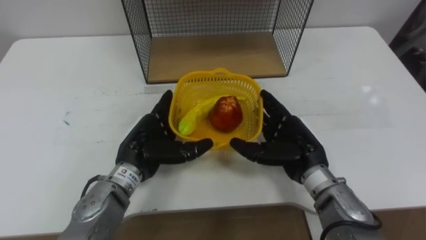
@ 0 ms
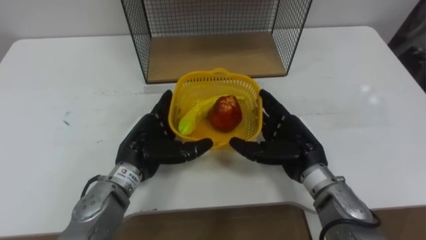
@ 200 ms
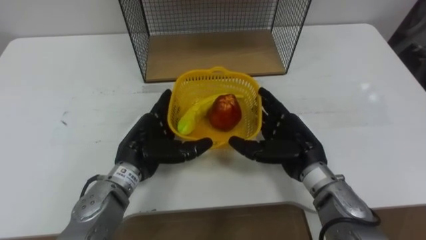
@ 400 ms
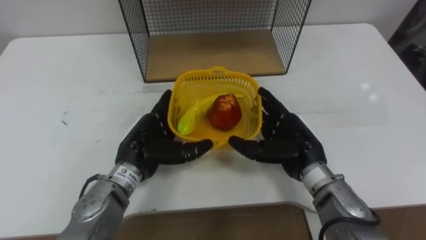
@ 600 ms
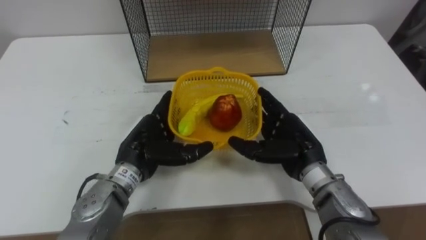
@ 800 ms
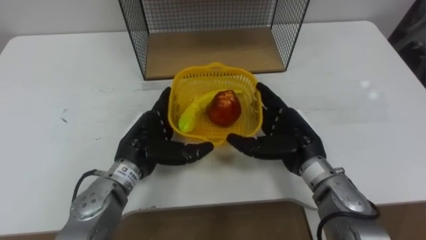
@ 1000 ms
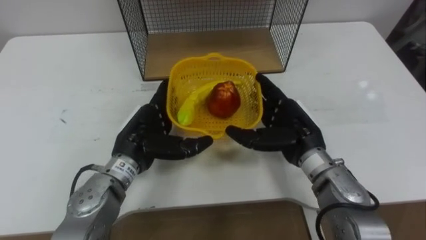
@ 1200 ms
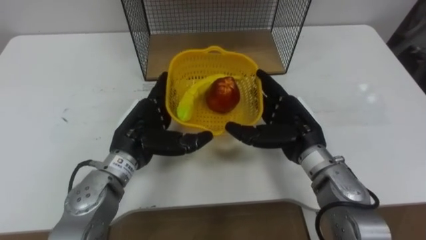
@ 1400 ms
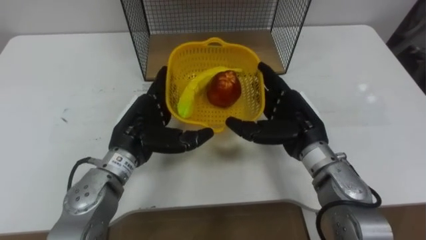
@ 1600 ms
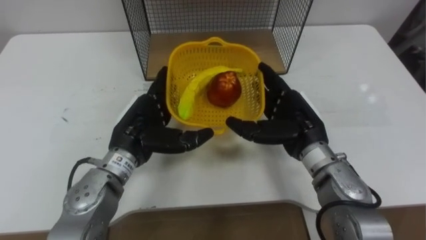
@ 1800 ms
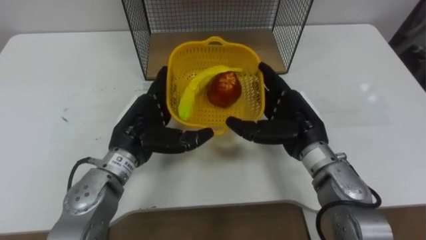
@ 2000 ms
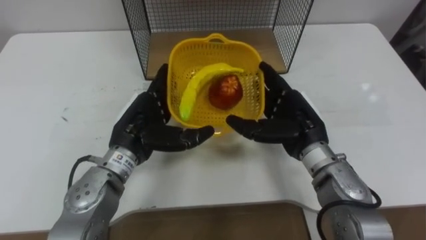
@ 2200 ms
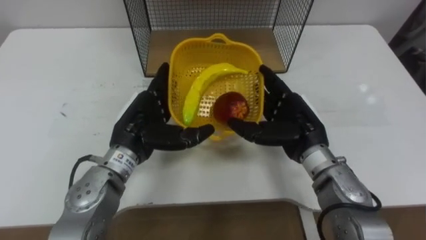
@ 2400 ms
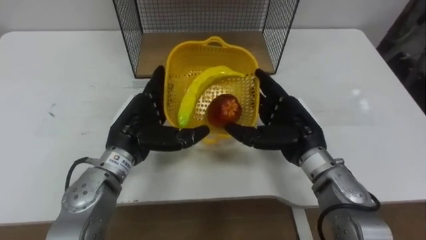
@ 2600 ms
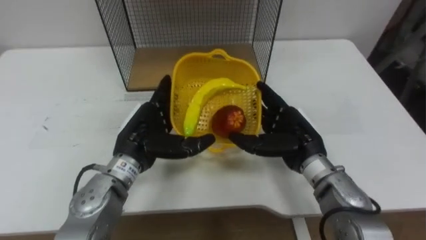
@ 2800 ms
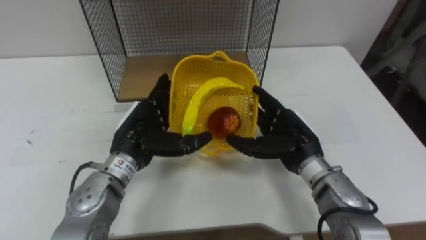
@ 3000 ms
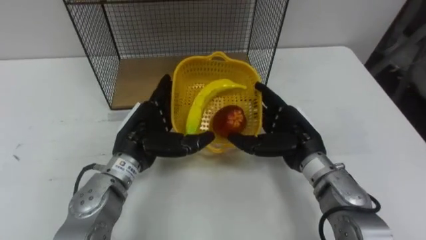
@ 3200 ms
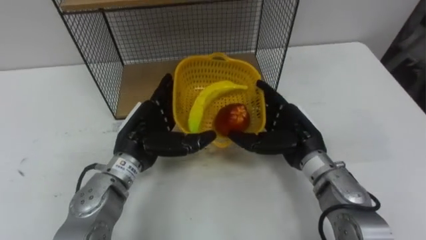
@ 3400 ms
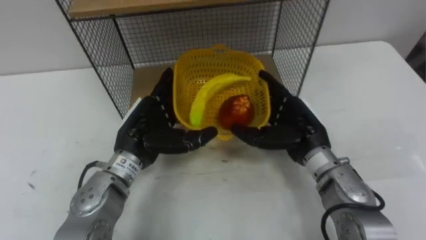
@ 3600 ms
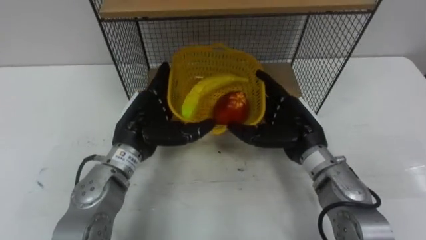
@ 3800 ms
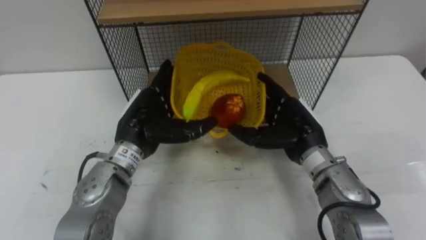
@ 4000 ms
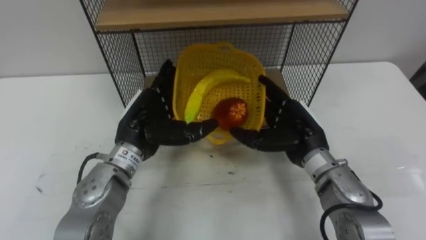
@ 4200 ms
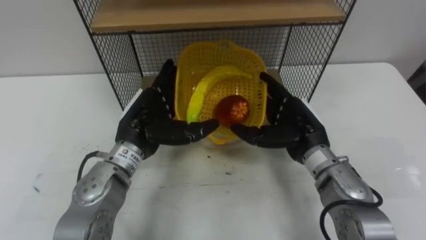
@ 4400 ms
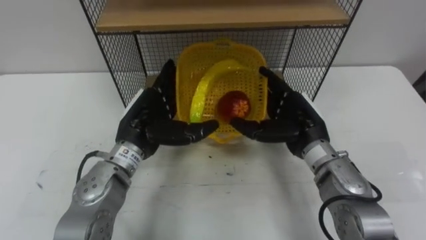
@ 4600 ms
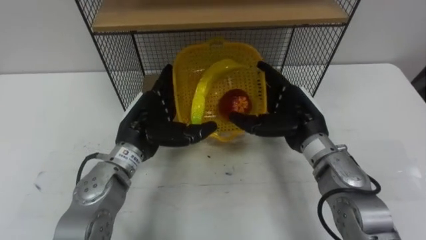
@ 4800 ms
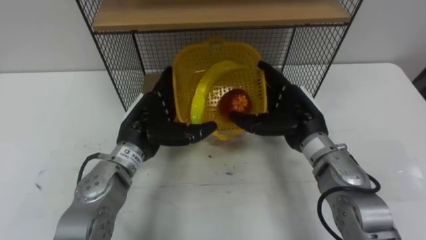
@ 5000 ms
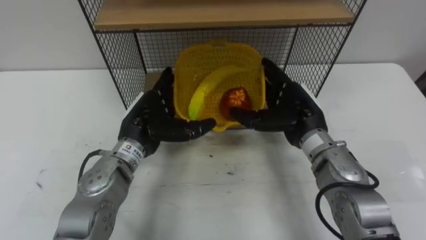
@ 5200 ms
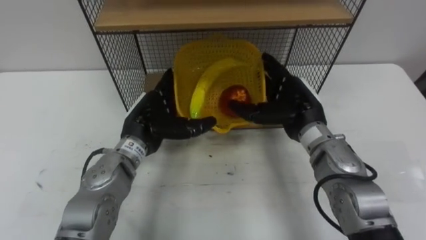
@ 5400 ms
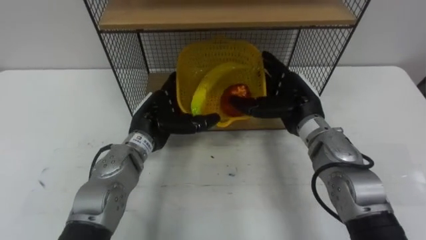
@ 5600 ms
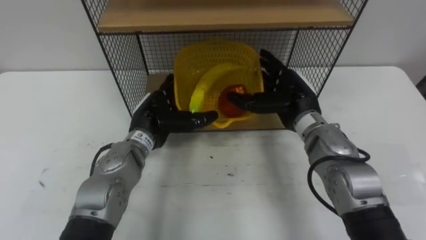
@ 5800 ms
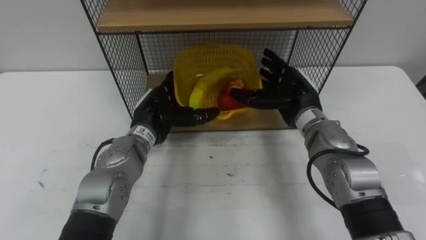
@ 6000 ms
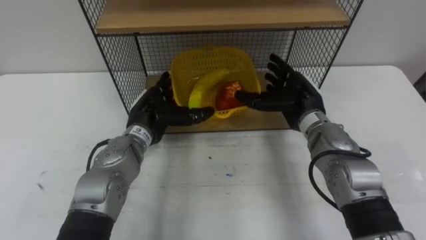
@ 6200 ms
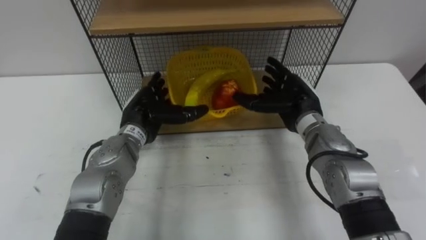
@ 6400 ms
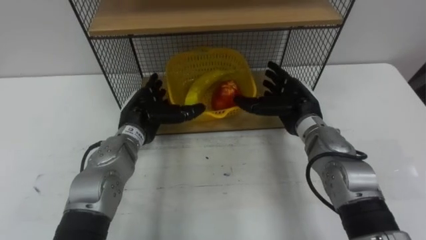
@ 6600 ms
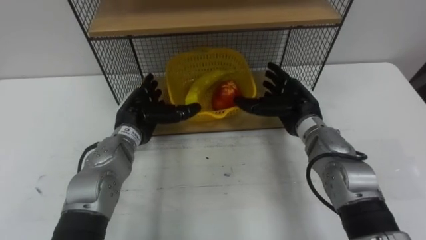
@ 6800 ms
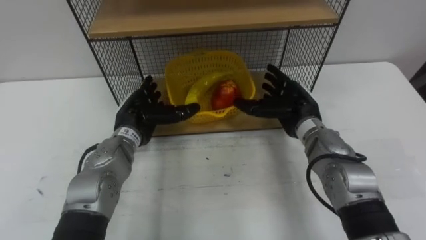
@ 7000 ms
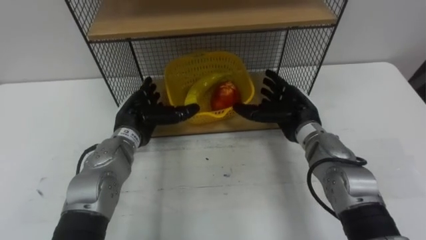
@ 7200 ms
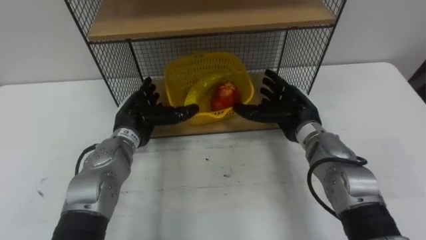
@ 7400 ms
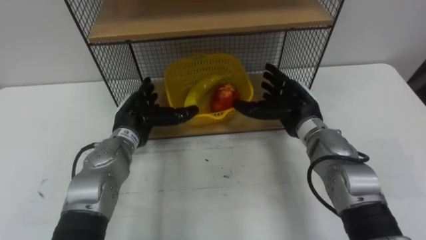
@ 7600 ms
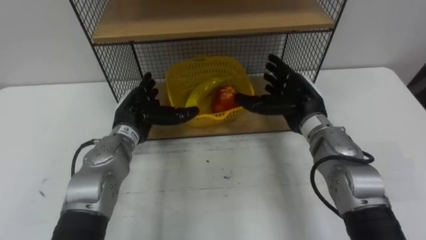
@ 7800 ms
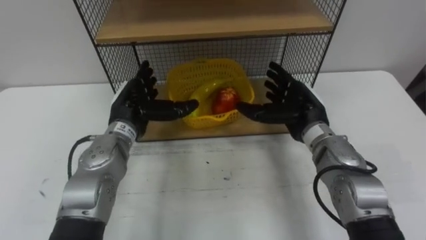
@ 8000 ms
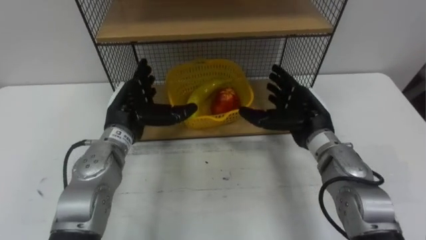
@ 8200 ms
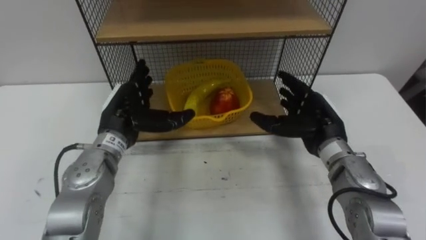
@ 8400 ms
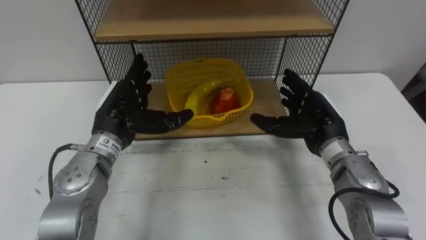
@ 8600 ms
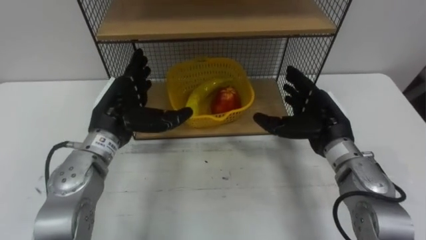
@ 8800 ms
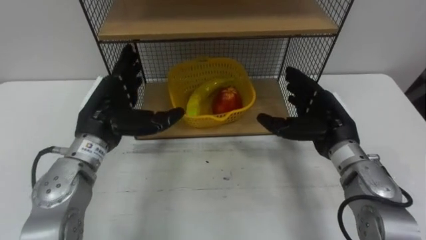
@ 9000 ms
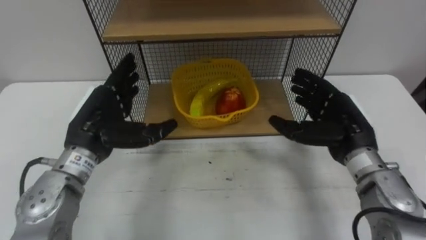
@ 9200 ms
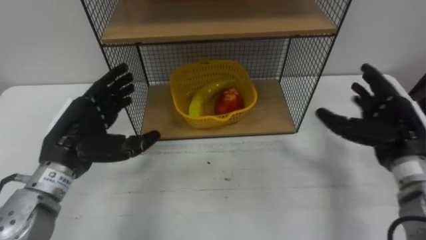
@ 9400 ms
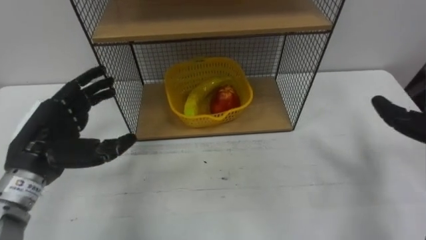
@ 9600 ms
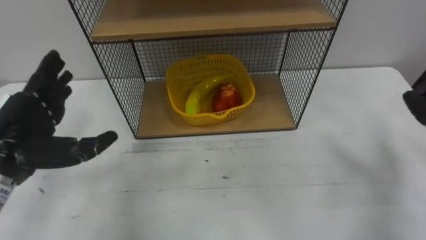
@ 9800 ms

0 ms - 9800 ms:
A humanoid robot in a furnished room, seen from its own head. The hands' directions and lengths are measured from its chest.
Task of the whole recording: Put the fruit on the table into the basket, then place the basket on the shelf.
4200 ms - 5600 ms: The right hand changes place by about 5 cm; the left hand moves approximately 5 cm.
7000 ms - 8400 ms: The right hand changes place by about 5 cm.
8400 ms - 9800 ms: The left hand is displaced to the left, backward and upward by approximately 15 cm.

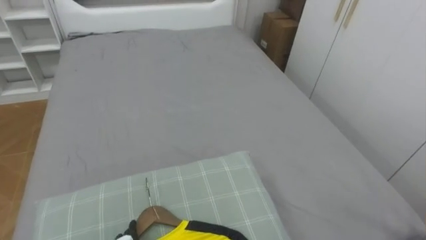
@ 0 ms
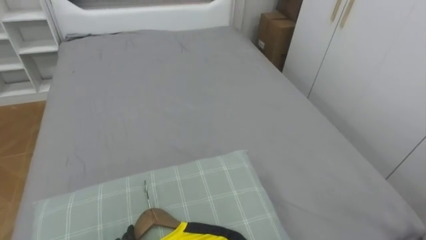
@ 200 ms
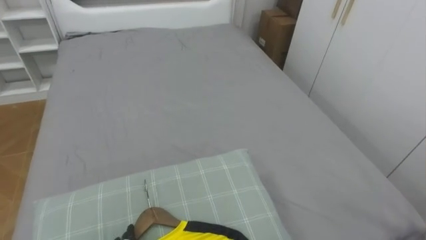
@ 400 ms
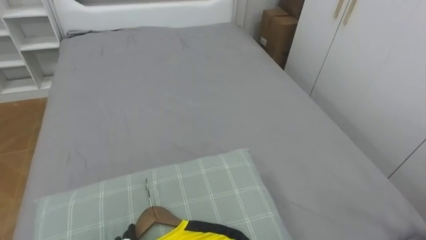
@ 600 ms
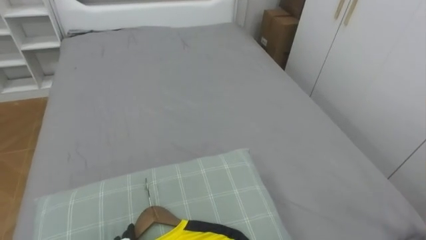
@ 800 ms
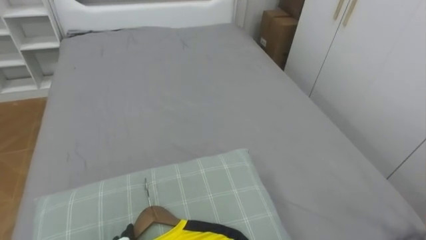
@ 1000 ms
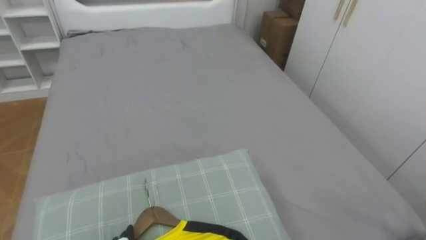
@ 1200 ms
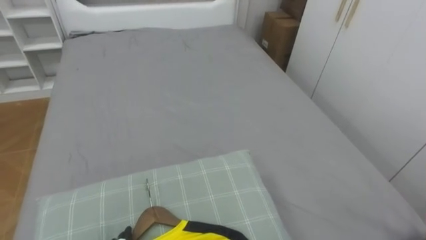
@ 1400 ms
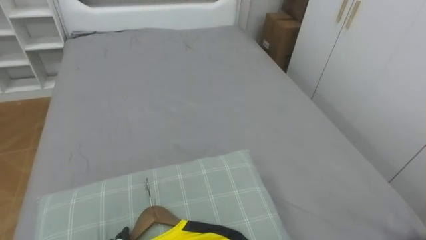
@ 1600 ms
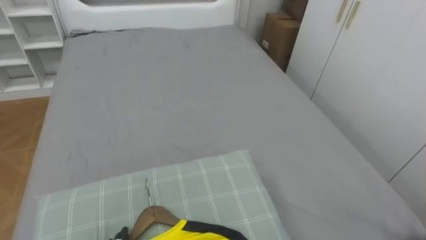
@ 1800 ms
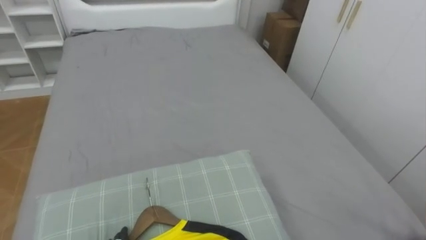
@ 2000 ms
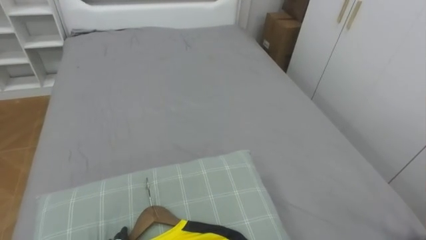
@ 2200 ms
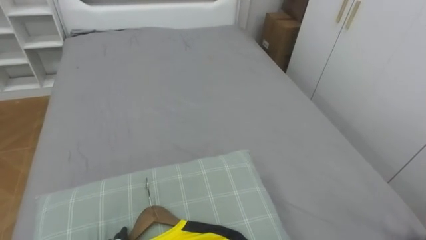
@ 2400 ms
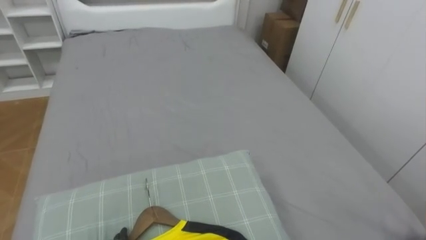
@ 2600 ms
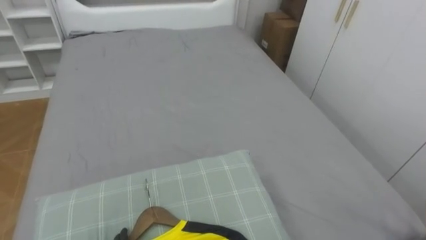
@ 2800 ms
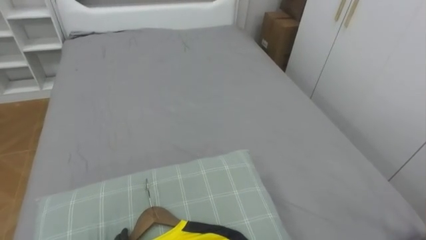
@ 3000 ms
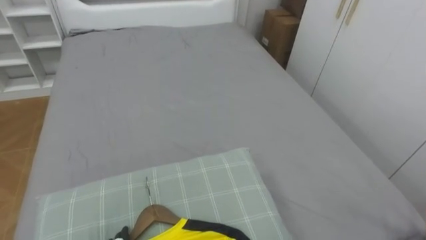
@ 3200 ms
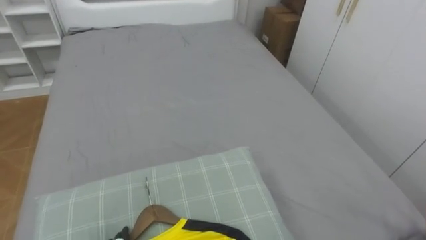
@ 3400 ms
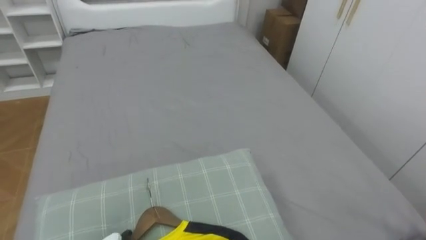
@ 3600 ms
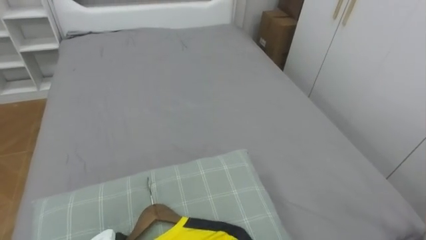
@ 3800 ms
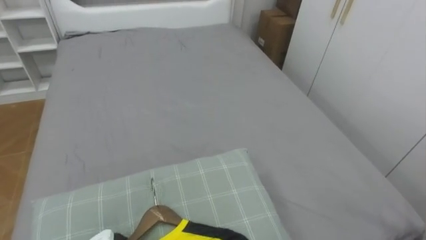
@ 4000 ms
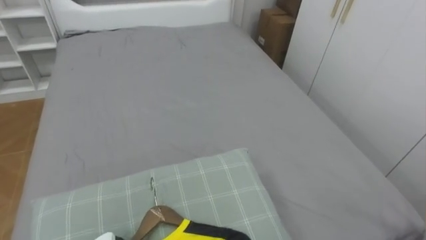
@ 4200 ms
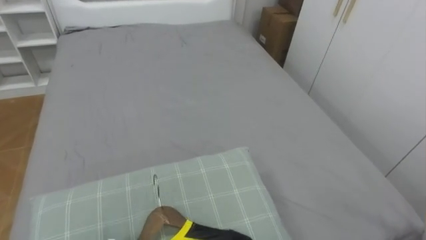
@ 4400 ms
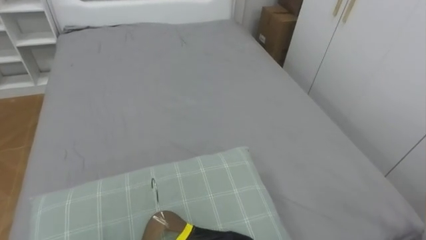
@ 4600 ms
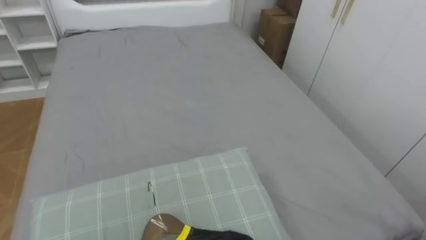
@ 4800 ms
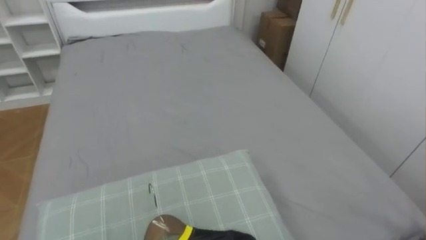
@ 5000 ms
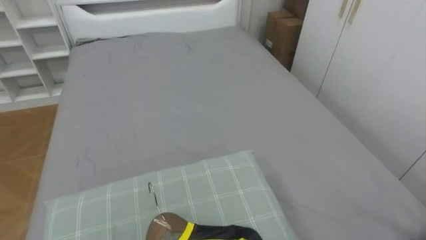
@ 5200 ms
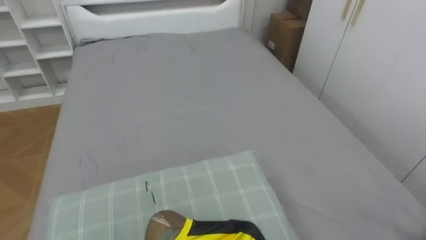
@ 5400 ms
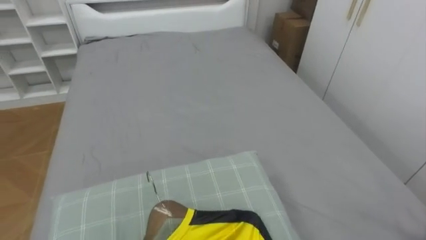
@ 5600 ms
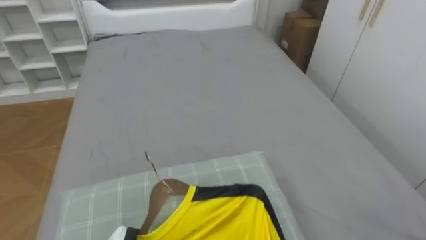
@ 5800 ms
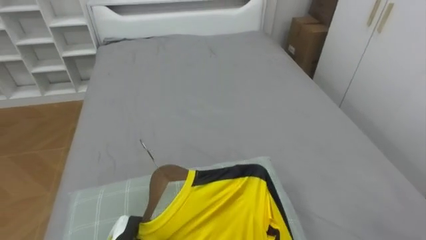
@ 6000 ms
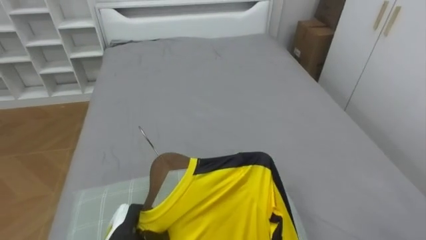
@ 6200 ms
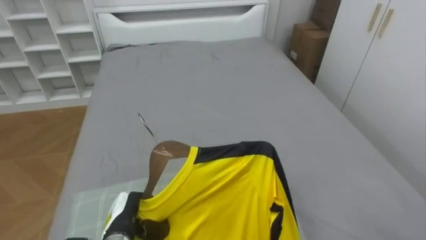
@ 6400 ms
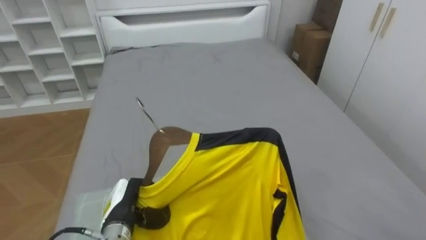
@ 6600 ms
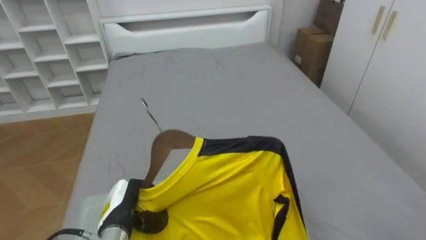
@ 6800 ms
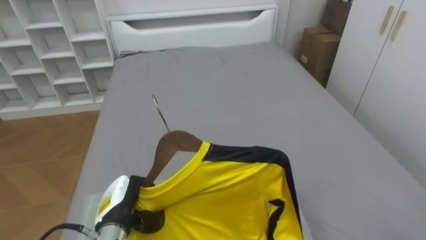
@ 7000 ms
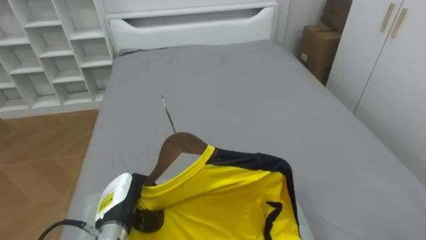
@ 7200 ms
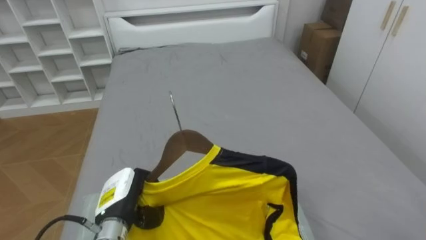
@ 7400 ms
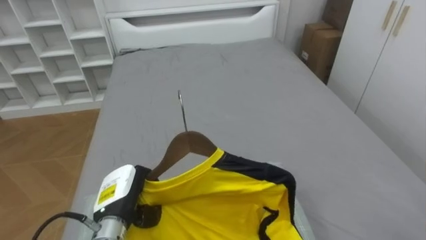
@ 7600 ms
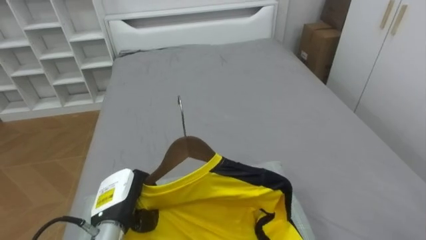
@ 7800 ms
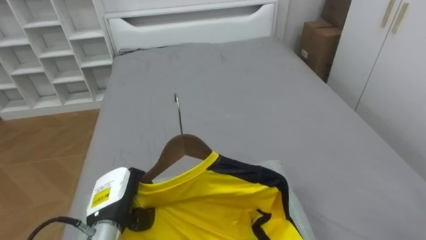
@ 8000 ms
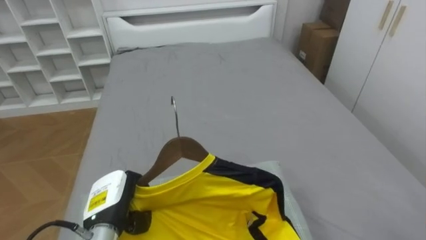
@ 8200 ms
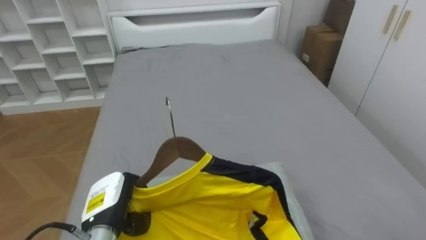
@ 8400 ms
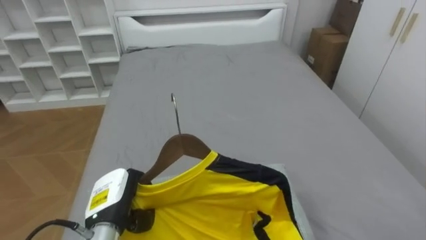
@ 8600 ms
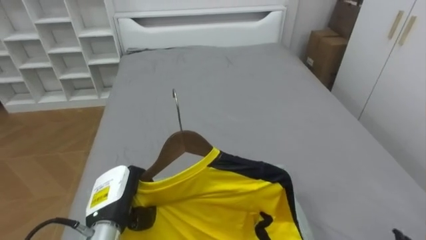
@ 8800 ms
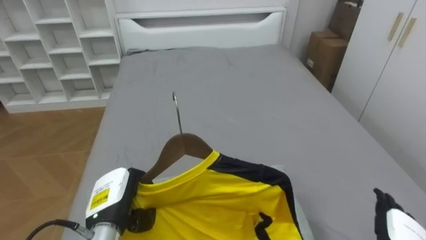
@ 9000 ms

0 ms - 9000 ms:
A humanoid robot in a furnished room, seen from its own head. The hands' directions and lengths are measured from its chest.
Task of the whole recording: Pick up the yellow shirt on the bed and hang it on the clothes rack on the right.
6000 ms - 7600 ms: The left hand is displaced upward by some 10 cm.
